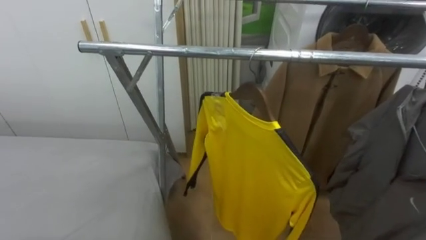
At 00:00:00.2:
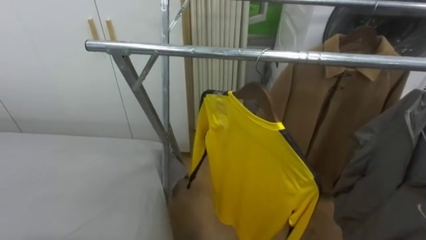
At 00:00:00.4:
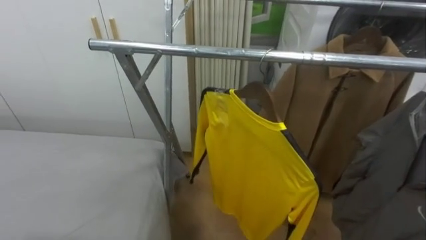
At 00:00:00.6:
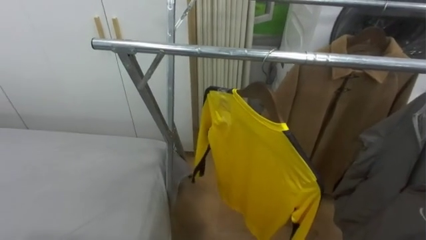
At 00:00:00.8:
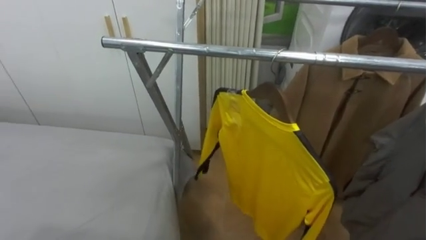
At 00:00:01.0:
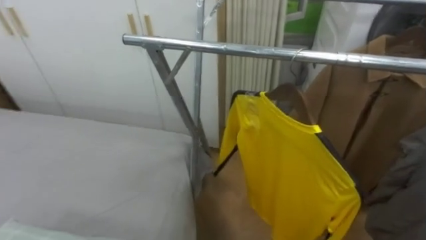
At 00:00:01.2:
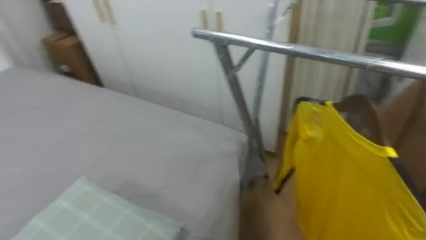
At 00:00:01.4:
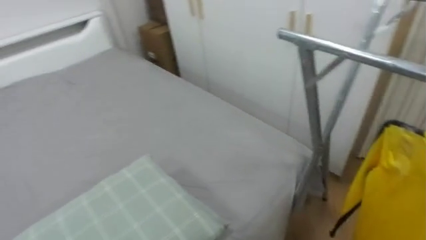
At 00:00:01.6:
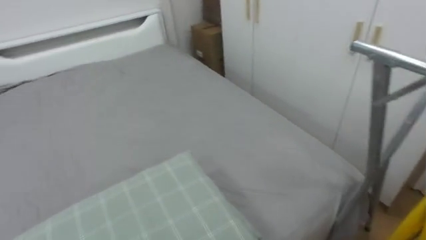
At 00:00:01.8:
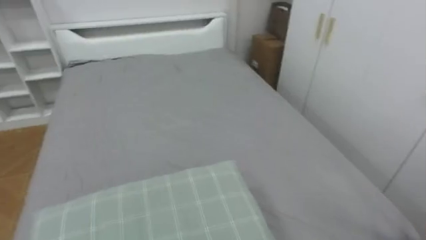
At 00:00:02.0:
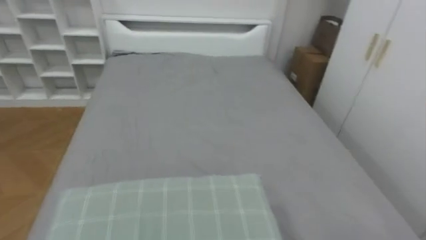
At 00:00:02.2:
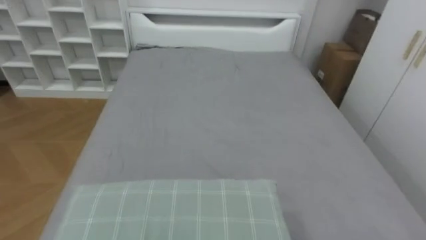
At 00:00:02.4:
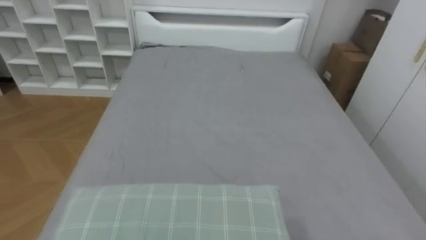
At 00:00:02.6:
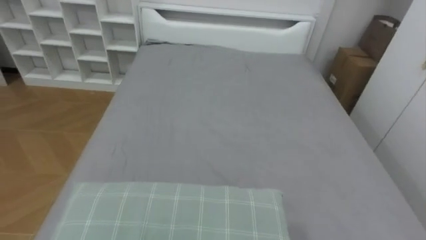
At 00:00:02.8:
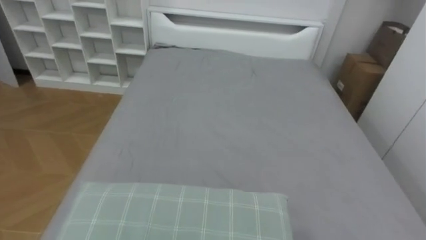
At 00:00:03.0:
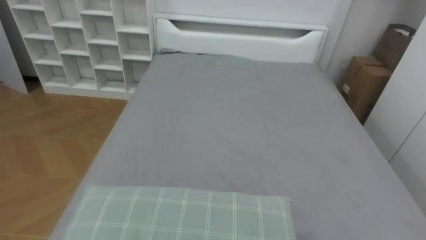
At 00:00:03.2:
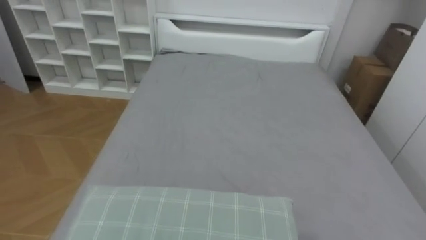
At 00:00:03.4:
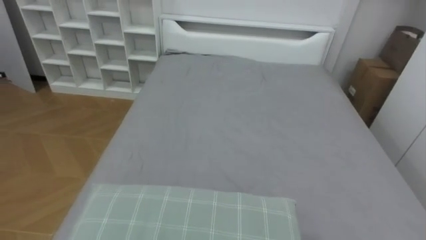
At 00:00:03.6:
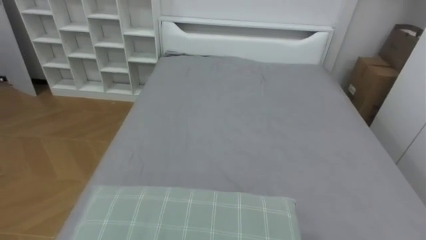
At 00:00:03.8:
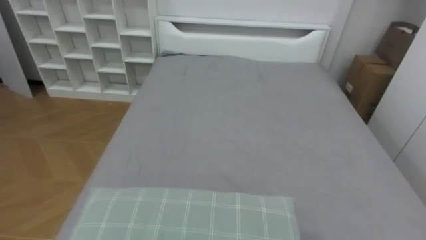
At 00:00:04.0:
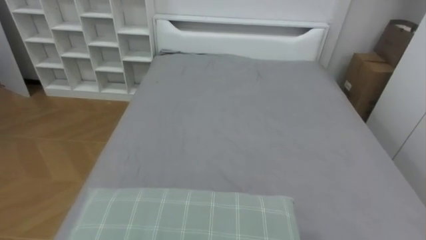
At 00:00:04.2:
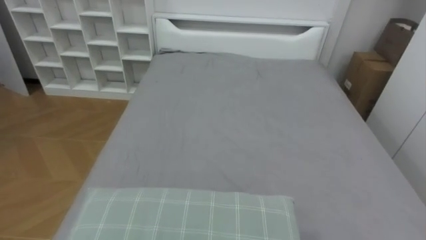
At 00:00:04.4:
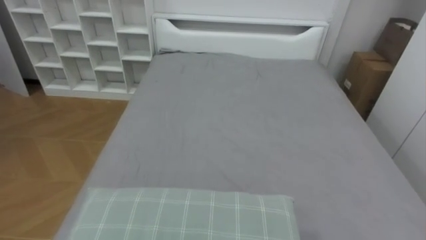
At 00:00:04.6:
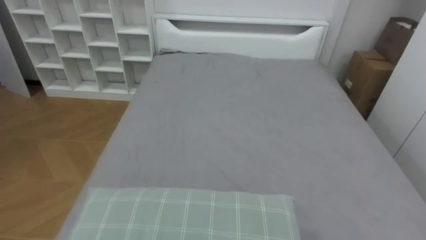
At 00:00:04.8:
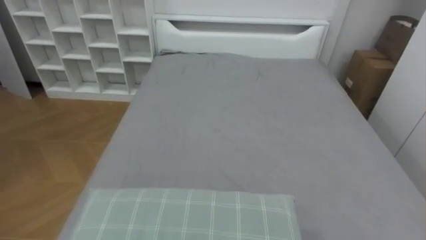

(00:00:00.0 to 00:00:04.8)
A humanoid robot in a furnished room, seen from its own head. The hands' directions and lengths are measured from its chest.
Task of the whole recording: Pick up the yellow shirt on the bed and hang it on the clothes rack on the right.
00:00:00.0 - 00:00:01.6: The robot faces approximately 50 degrees further to its left.
00:00:01.6 - 00:00:03.2: The robot rotates about 40 degrees to its left.

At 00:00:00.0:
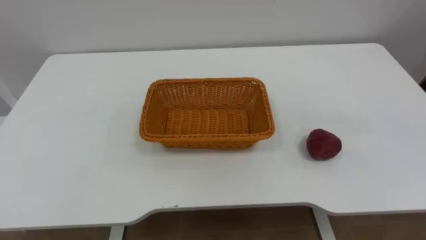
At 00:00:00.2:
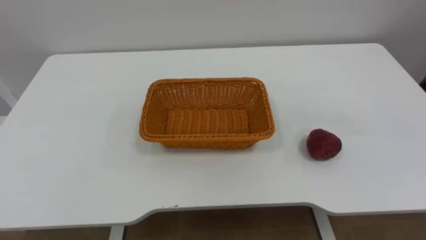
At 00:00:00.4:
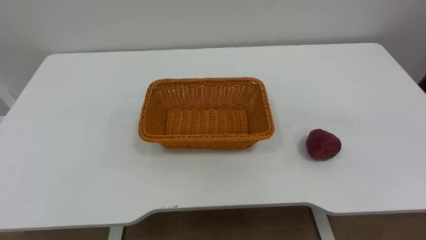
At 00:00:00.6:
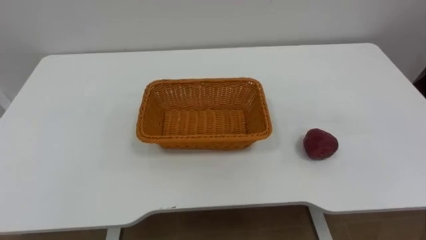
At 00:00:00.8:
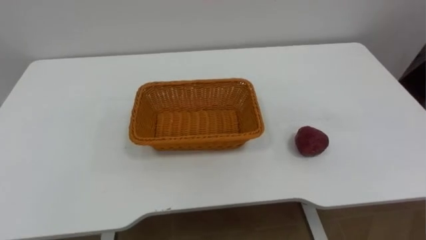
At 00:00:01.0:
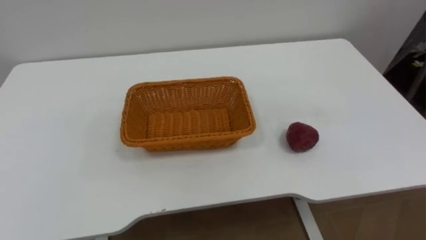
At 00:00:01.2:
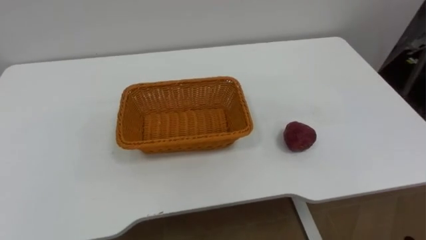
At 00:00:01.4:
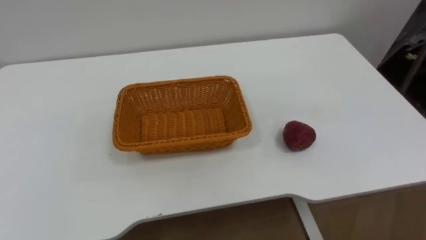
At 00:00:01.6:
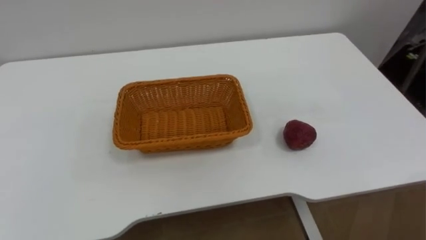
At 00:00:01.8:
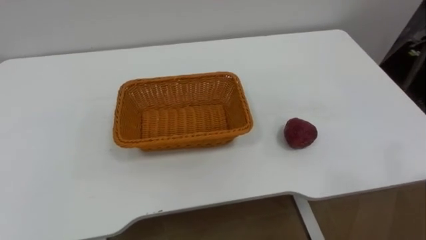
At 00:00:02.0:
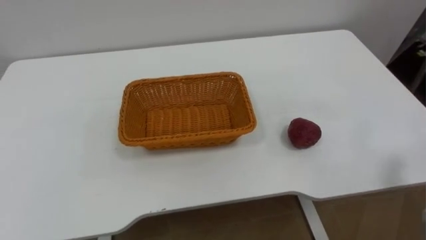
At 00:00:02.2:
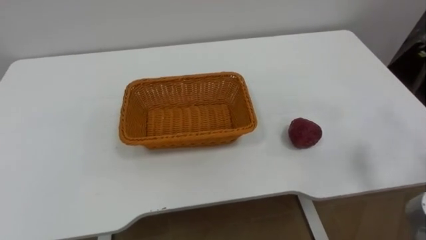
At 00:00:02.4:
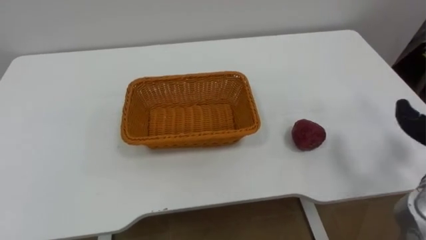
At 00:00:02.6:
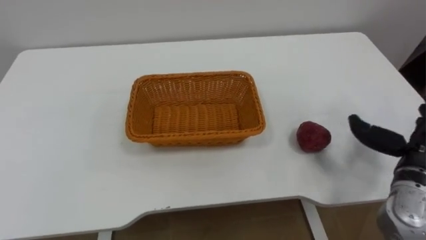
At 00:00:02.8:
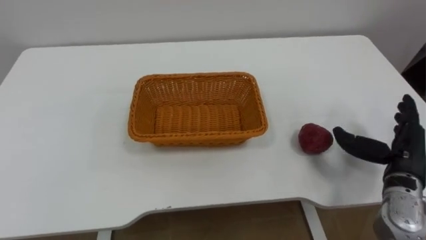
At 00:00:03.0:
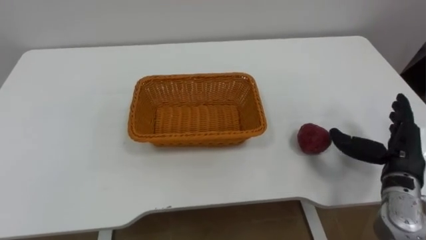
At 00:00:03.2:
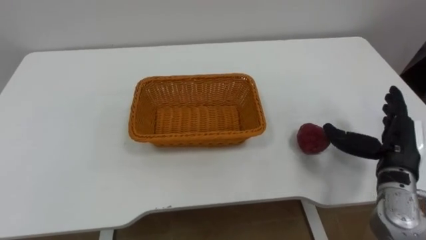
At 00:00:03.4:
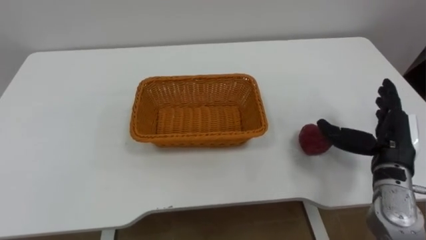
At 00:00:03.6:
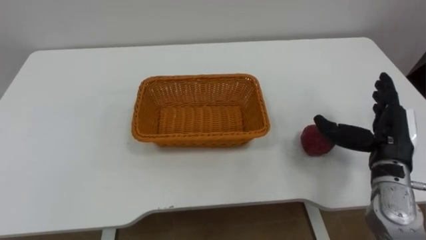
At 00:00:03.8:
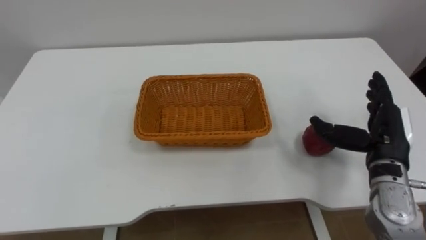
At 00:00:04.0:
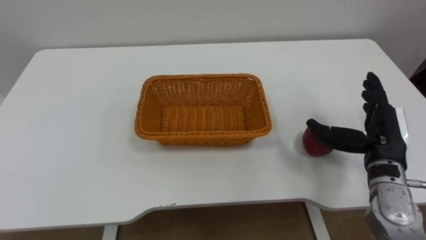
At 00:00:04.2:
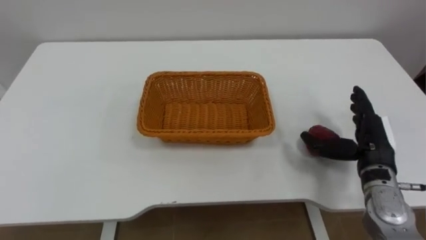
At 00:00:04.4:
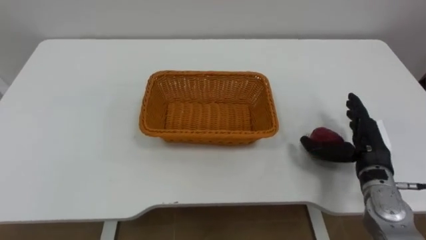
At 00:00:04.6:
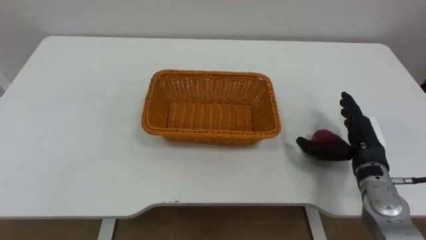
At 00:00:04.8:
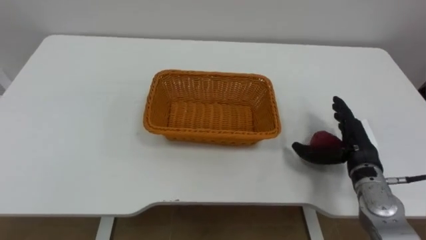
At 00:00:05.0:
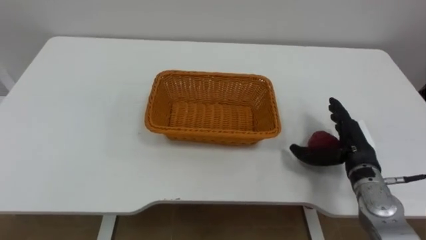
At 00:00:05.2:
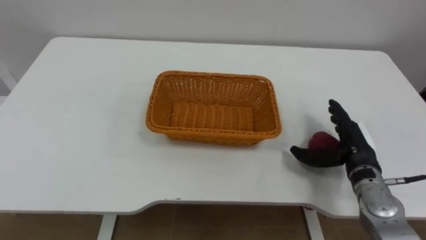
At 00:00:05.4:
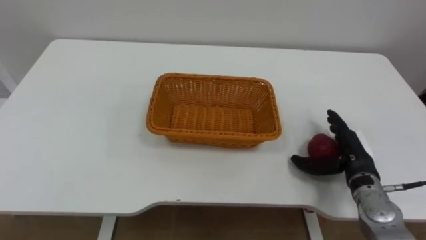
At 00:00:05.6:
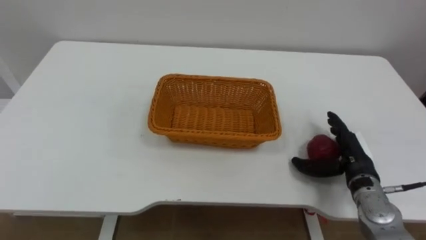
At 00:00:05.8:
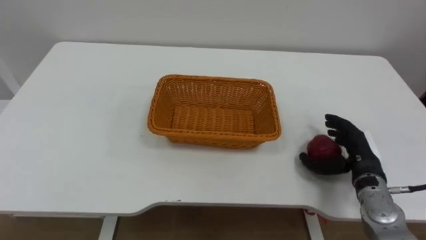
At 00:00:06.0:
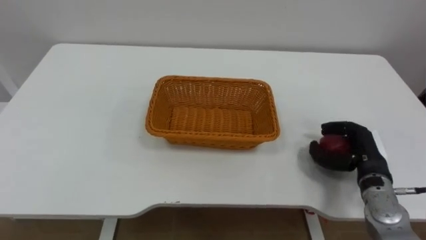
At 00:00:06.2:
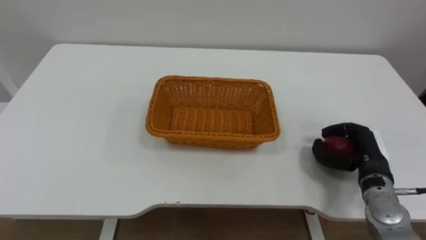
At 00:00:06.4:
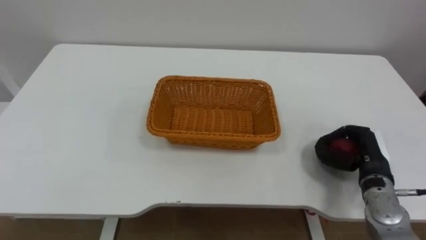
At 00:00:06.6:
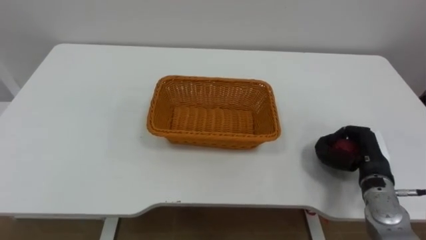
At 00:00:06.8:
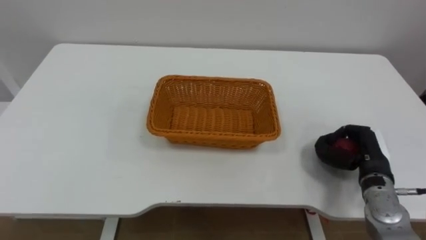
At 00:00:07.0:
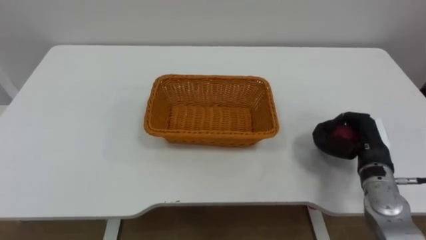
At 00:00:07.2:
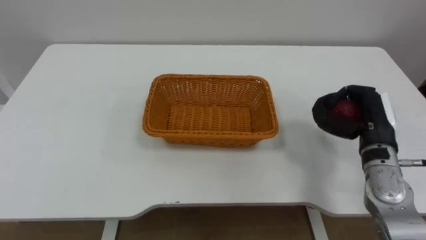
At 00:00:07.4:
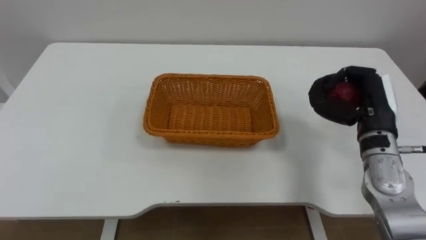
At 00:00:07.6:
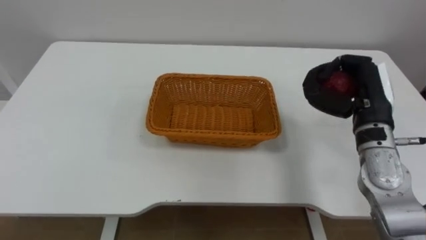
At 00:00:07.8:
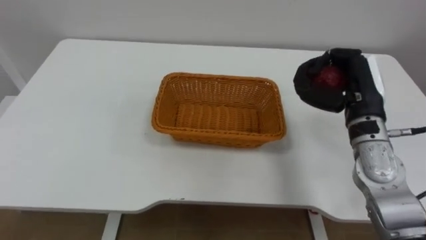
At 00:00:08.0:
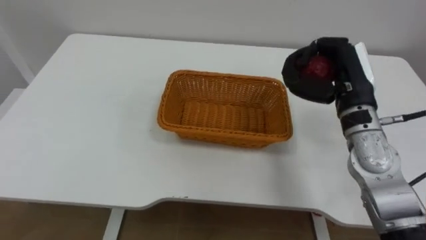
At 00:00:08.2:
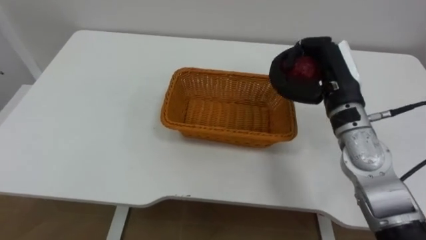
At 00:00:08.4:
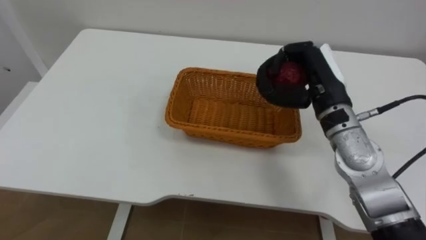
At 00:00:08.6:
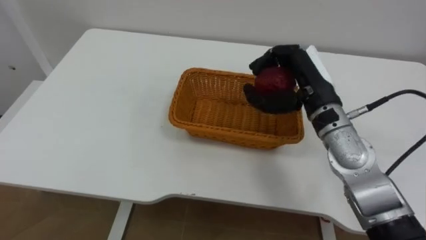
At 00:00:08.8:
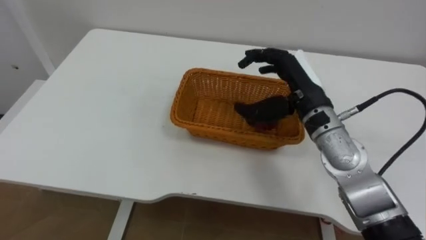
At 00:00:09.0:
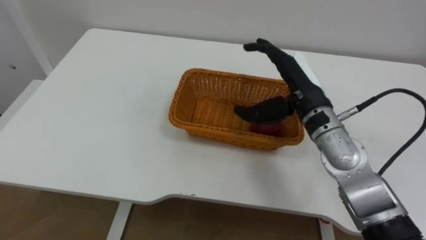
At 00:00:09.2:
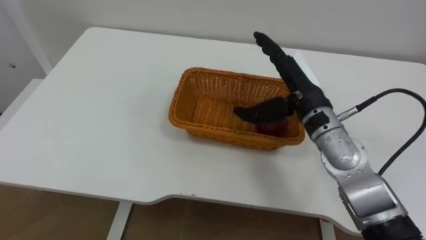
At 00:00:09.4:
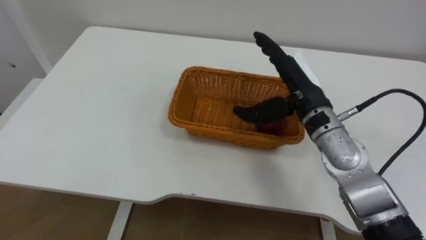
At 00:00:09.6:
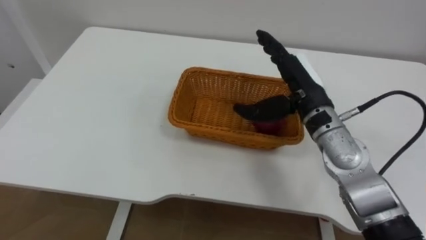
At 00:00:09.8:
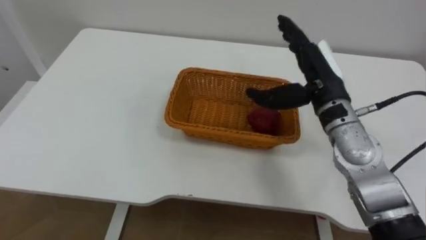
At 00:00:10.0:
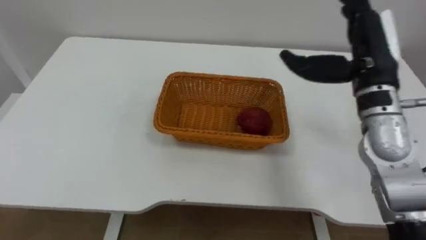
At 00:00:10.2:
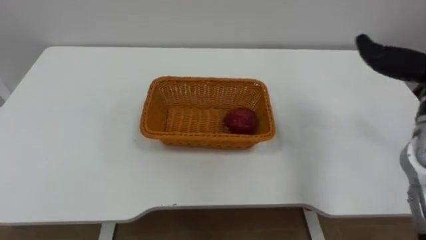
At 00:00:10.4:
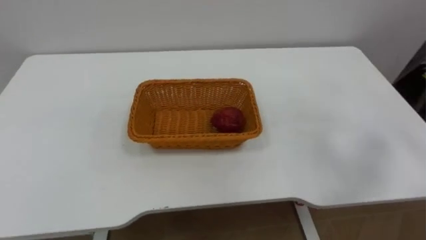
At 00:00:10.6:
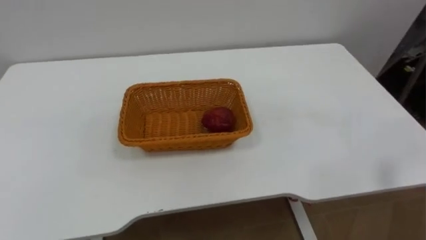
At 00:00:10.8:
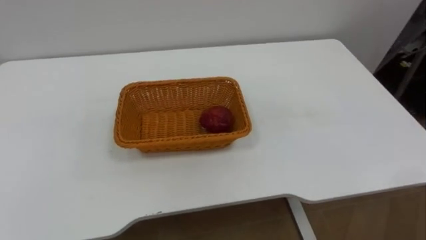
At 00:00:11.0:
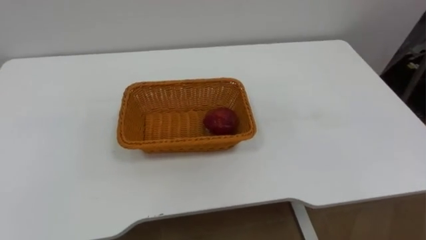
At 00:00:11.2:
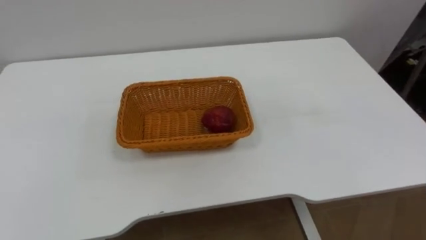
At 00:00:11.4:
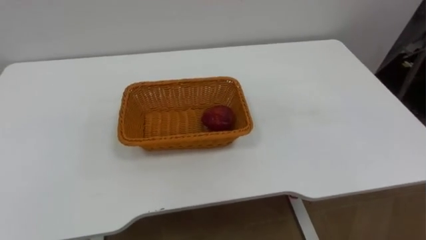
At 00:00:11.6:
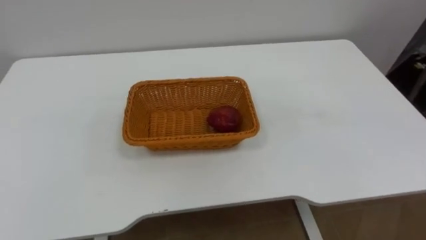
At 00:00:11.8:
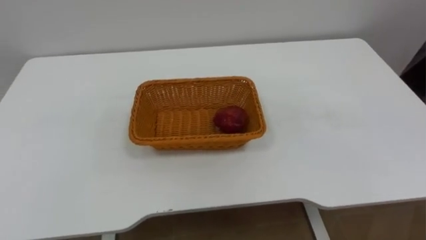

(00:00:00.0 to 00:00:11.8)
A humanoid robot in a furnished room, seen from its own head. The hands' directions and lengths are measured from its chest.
Task of the whole recording: Pick the apple and place it in the box.
00:00:03.0 - 00:00:04.4: The right hand ends up roughly 5 cm from where it was.
00:00:04.4 - 00:00:06.0: The right hand closes up.
00:00:06.0 - 00:00:07.4: The right hand is displaced upward by about 10 cm.
00:00:07.4 - 00:00:08.8: The right hand goes roughly 10 cm to the left, and opens up.
